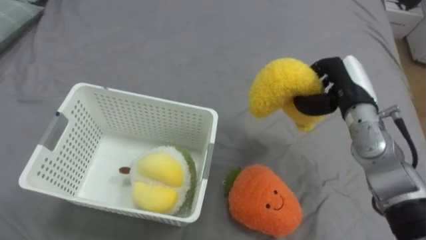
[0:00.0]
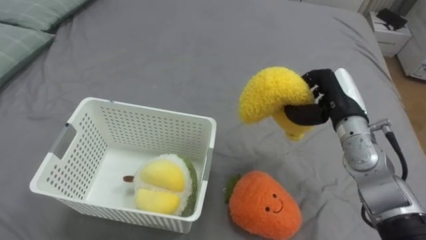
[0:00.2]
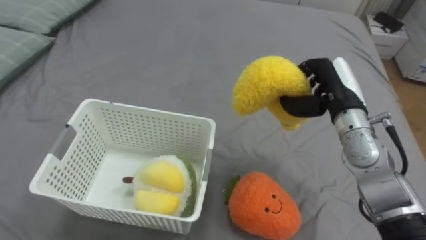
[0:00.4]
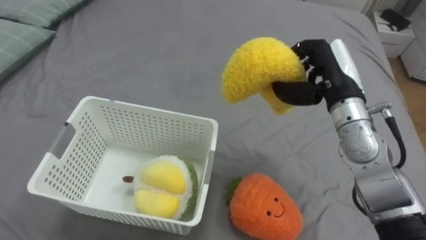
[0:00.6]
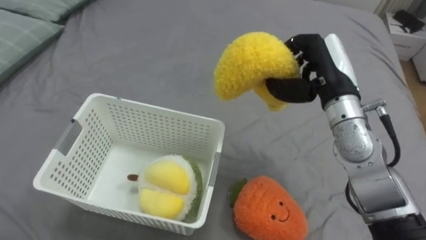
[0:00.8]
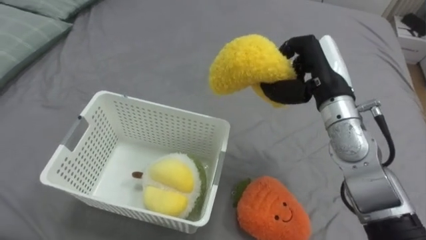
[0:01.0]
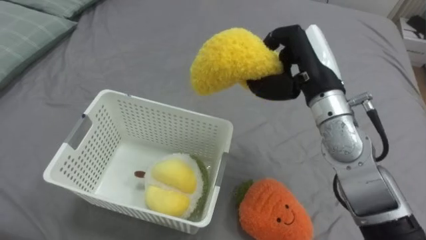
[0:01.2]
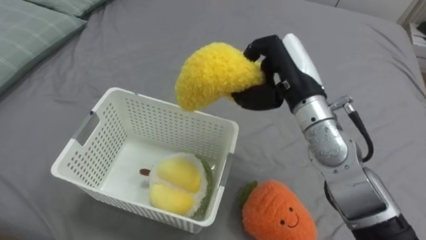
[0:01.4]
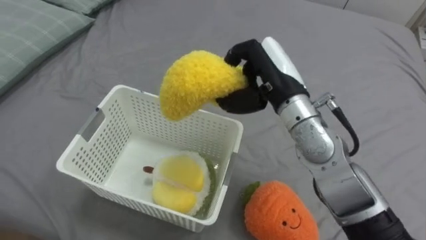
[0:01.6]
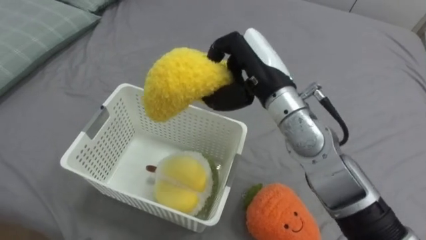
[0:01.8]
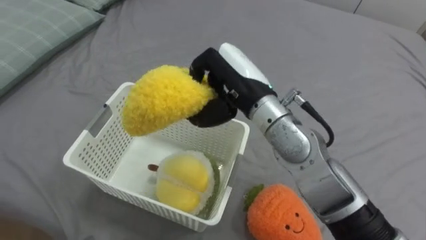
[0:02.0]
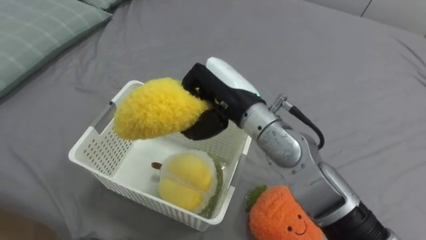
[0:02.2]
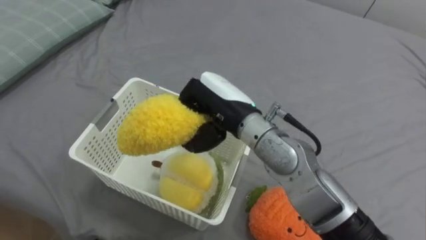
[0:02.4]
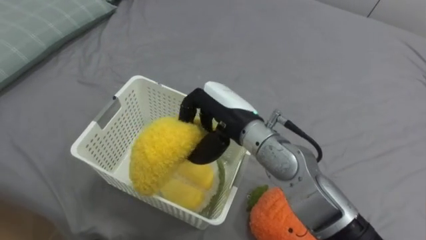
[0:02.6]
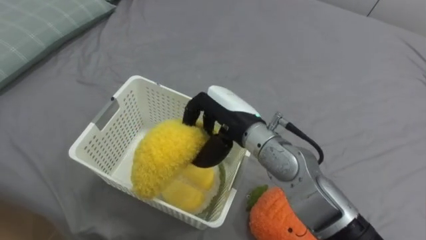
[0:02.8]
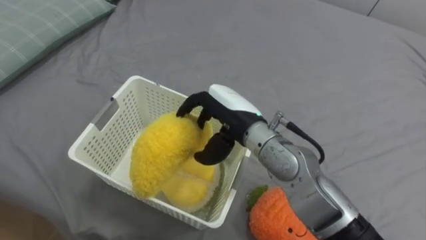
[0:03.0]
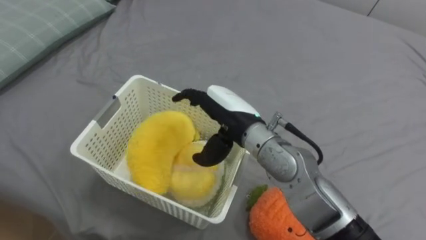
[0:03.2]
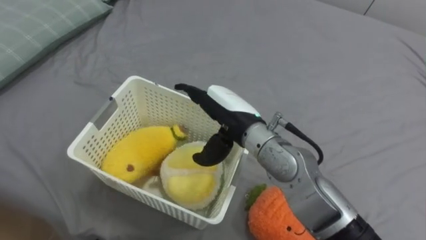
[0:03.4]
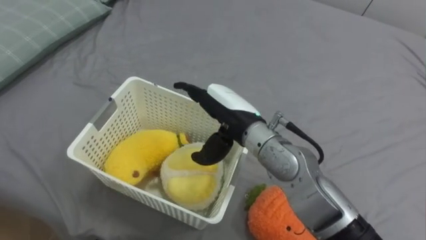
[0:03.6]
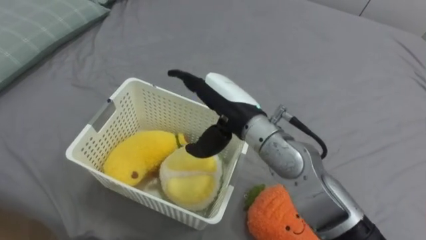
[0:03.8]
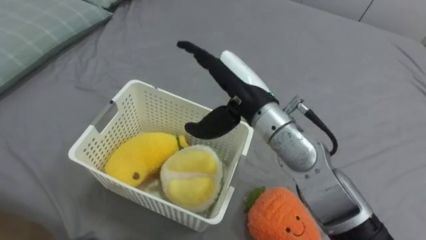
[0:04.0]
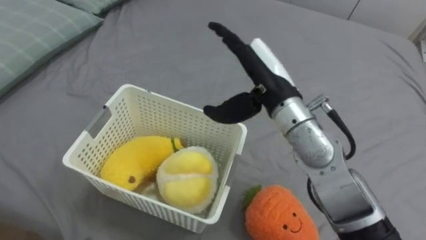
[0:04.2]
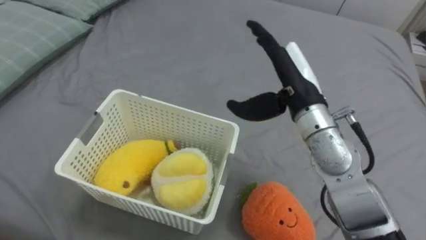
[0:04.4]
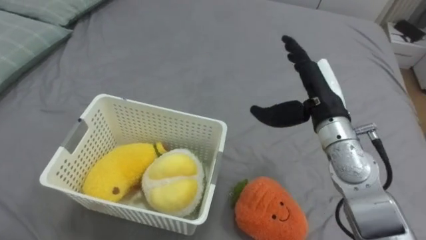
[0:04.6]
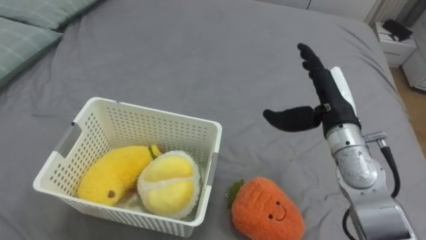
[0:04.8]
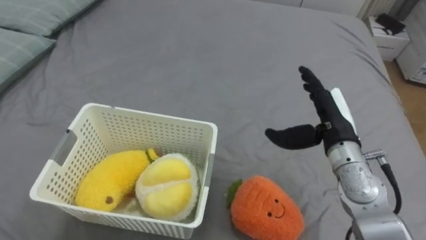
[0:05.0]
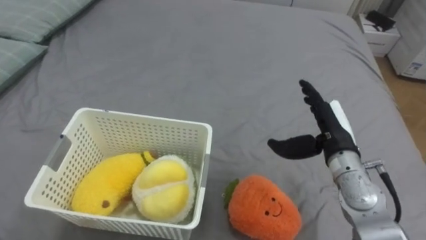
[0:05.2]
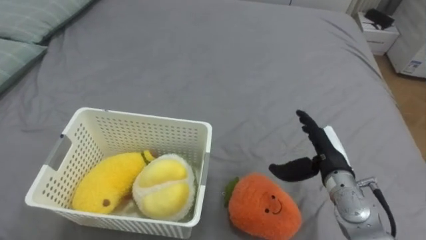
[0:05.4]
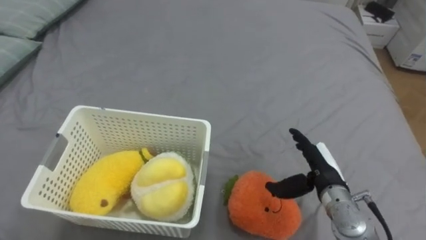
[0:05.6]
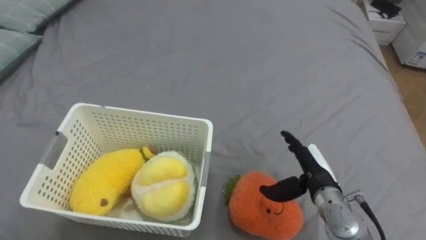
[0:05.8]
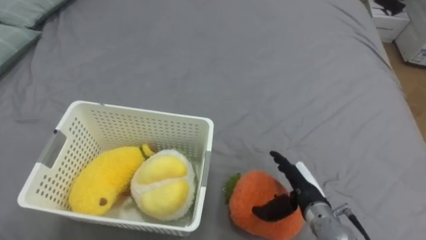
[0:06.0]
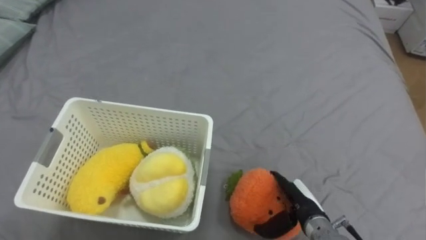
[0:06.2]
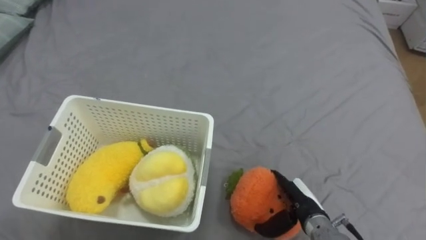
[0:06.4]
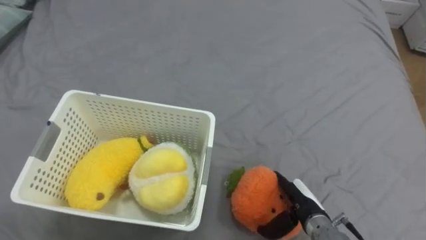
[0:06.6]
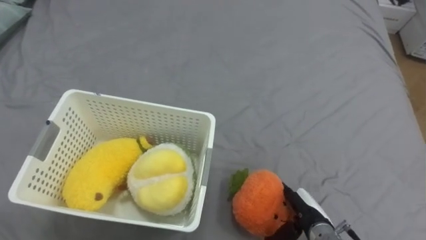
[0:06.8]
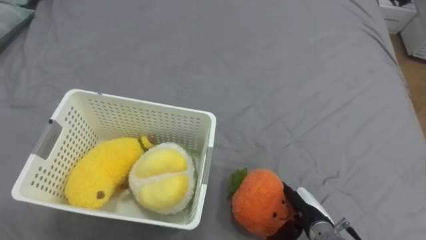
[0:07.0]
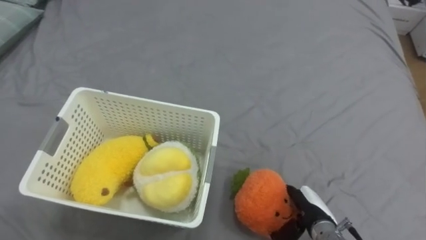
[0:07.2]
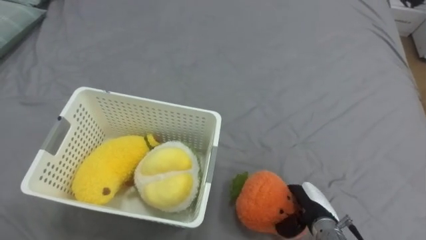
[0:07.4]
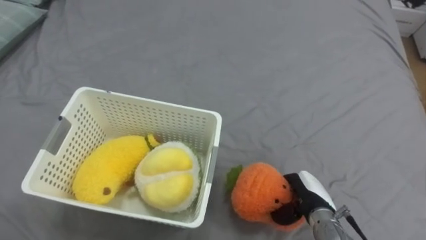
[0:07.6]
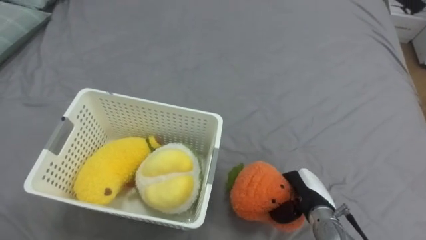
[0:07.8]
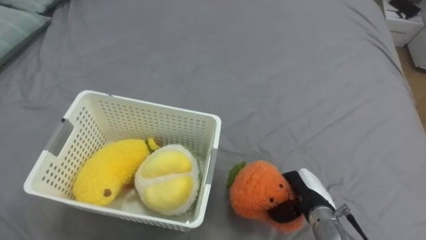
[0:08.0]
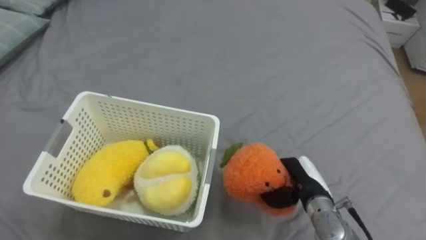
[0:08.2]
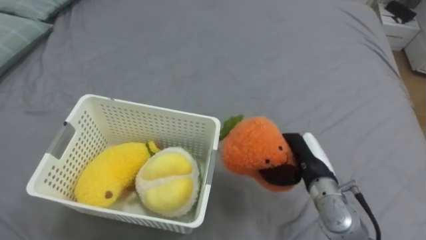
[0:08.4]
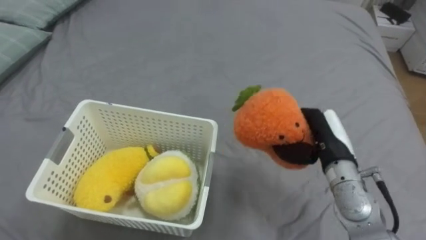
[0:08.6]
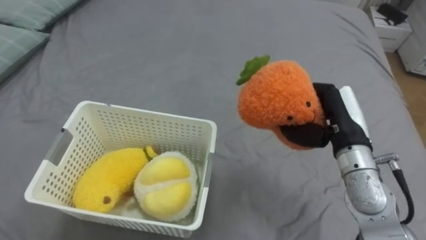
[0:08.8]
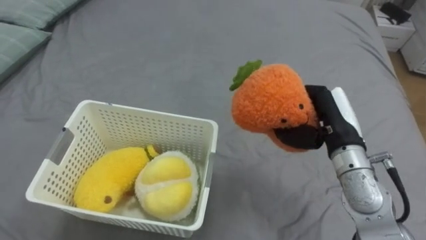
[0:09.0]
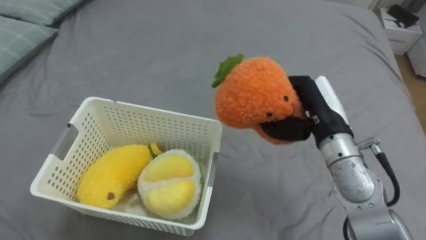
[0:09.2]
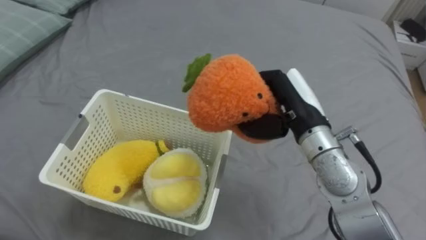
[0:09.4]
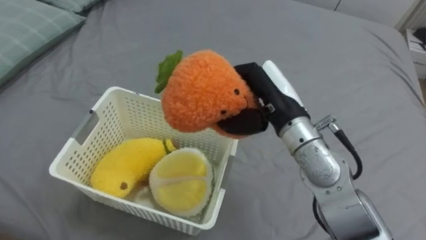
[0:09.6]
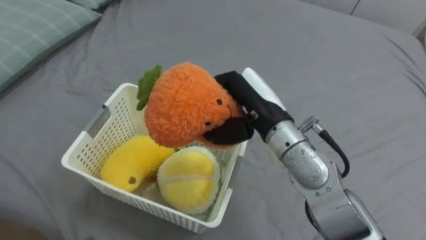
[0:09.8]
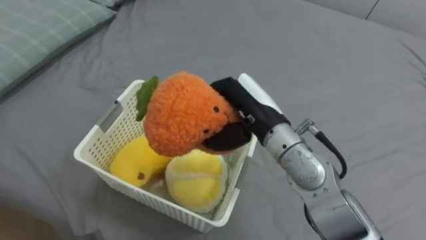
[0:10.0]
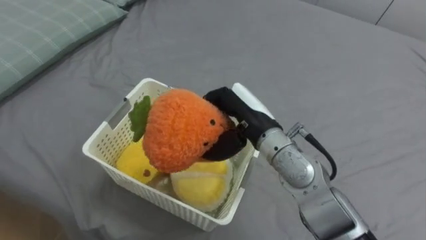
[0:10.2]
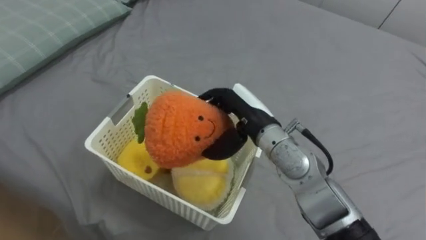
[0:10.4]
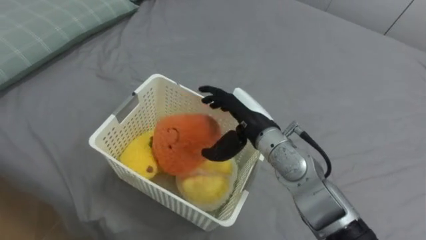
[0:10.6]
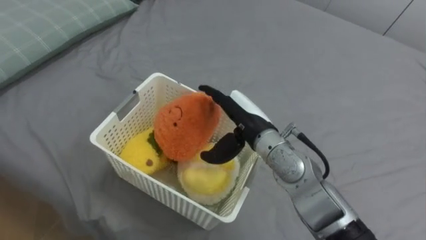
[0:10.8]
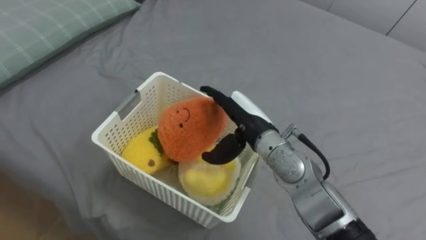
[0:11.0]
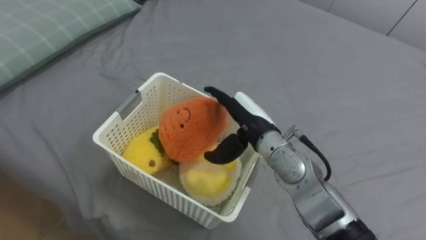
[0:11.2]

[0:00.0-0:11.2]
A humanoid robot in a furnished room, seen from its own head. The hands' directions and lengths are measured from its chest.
Task of the whole recording: Put the toys on the bed into the basket on the left.
0.0 to 1.6 s: The right hand moves to the left and upward, approximately 15 cm.
1.6 to 3.2 s: The right hand goes some 10 cm to the left and downward, and opens up.
3.2 to 4.8 s: The right hand goes about 15 cm to the right.
4.8 to 6.4 s: The right hand is displaced downward and backward by approximately 25 cm.
6.4 to 8.0 s: The right hand closes.
8.0 to 9.6 s: The right hand shifts some 25 cm upward and to the left.
9.6 to 11.2 s: The right hand goes about 5 cm downward, and opens up.

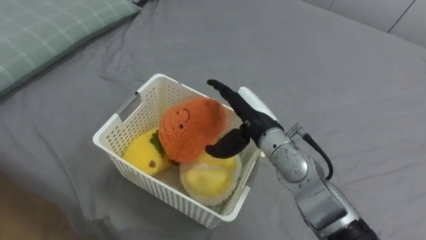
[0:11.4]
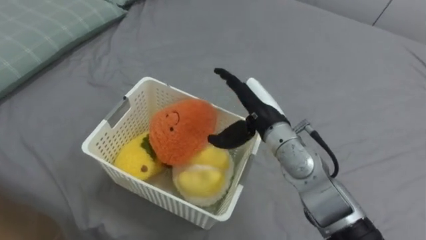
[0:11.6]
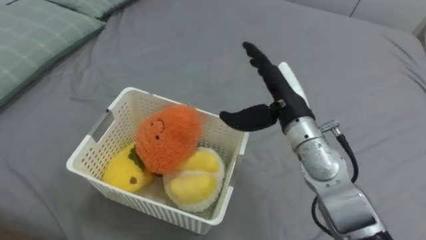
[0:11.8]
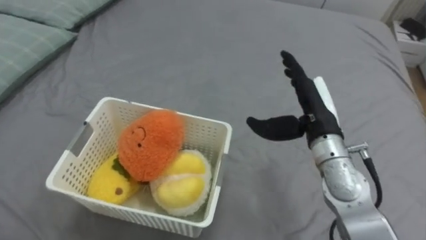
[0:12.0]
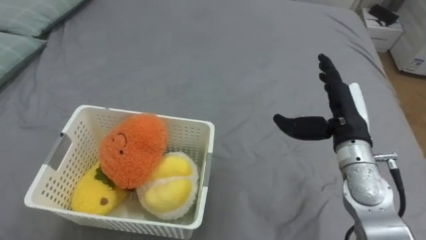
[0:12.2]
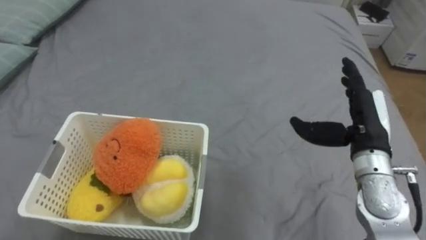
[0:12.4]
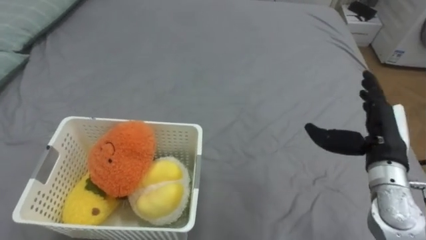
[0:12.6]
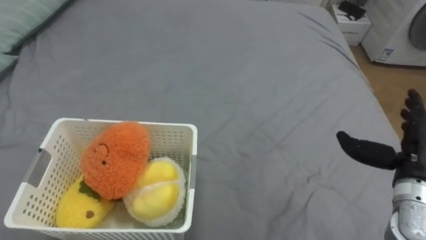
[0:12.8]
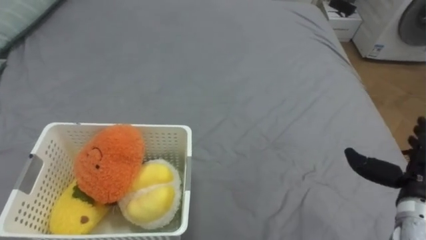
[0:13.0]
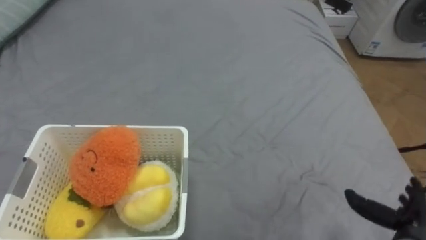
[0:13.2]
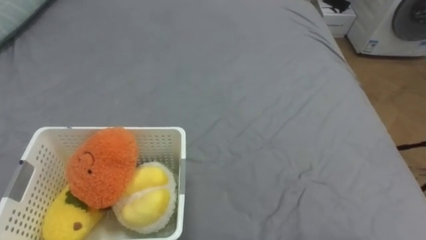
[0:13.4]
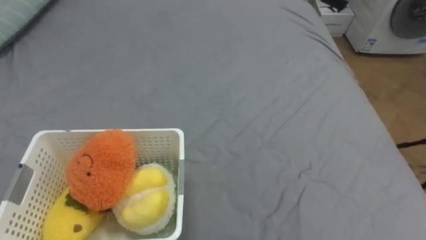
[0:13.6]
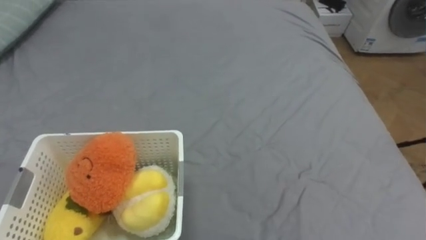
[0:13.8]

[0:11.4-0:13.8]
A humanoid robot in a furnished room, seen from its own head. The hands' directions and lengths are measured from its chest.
Task of the whole recording: Put the toys on the bed into the basket on the left.
11.4 to 12.6 s: The right hand heads to the right, covering approximately 20 cm.

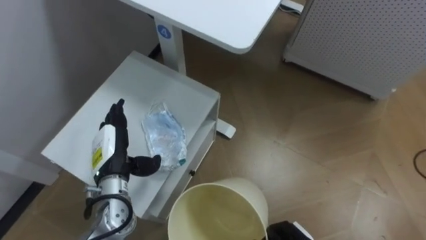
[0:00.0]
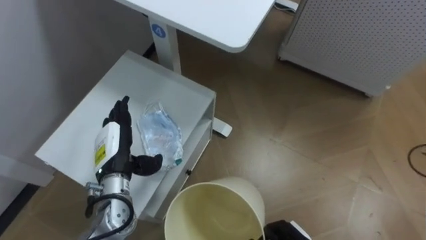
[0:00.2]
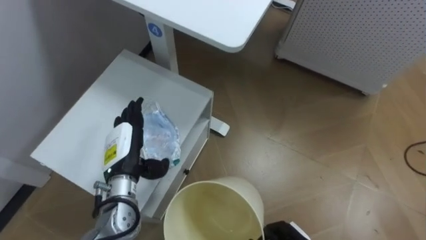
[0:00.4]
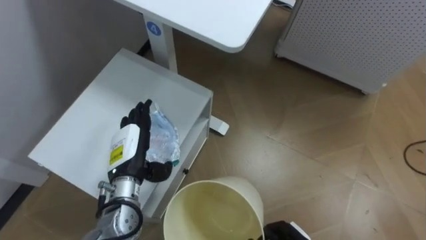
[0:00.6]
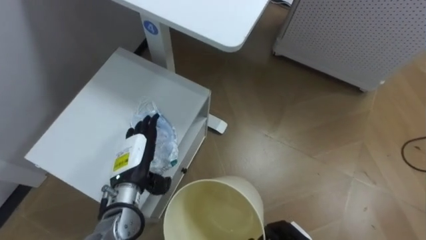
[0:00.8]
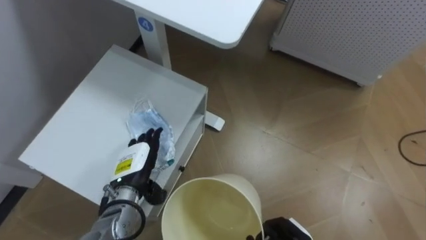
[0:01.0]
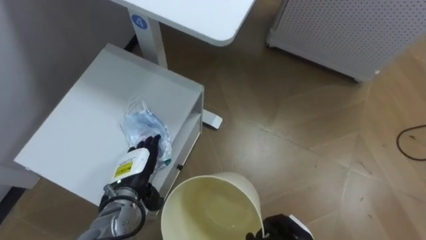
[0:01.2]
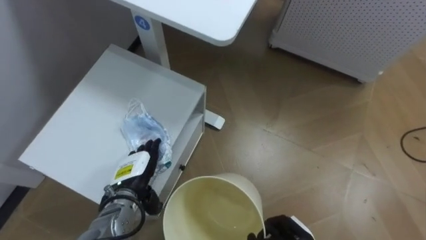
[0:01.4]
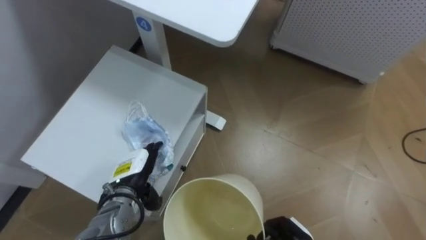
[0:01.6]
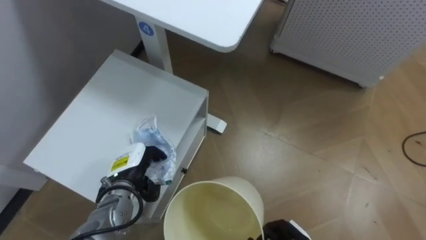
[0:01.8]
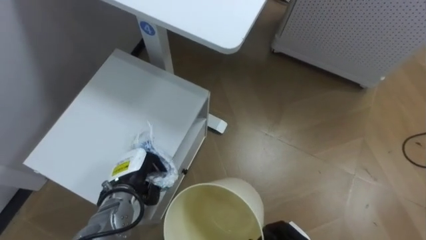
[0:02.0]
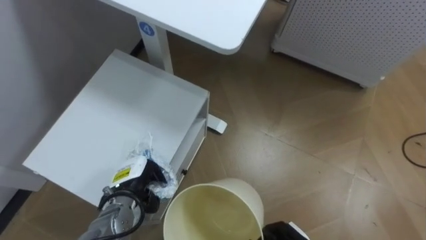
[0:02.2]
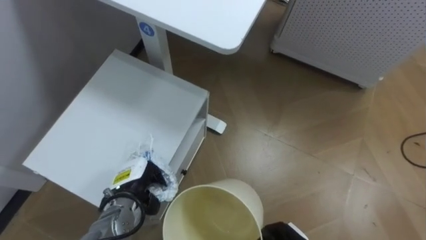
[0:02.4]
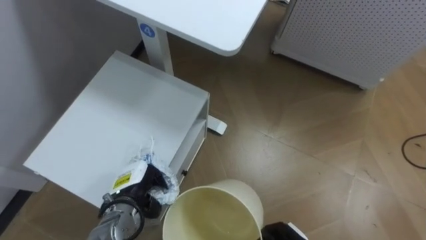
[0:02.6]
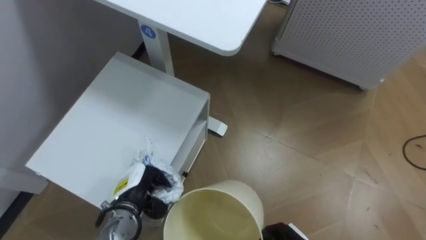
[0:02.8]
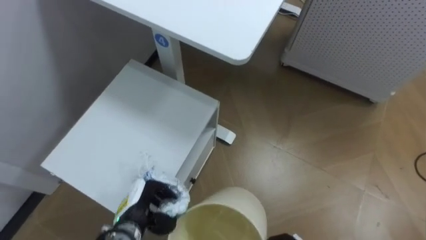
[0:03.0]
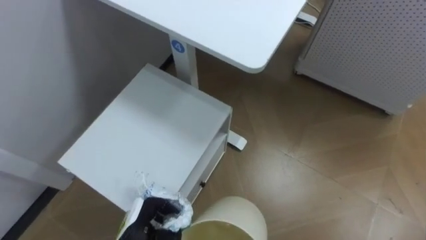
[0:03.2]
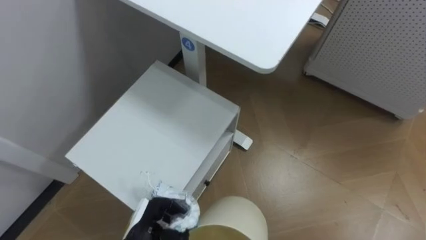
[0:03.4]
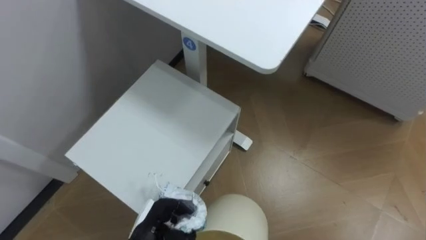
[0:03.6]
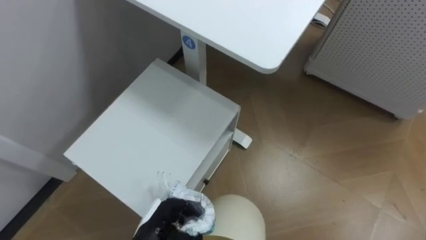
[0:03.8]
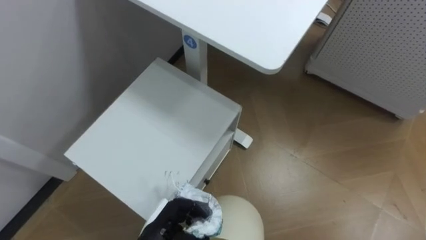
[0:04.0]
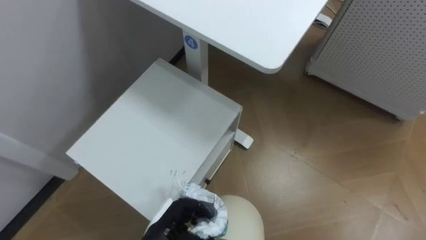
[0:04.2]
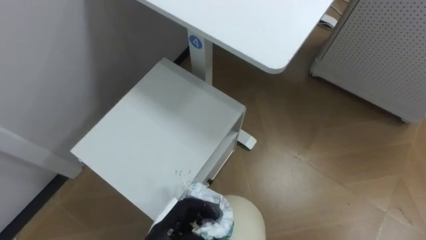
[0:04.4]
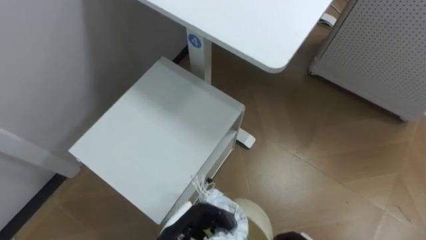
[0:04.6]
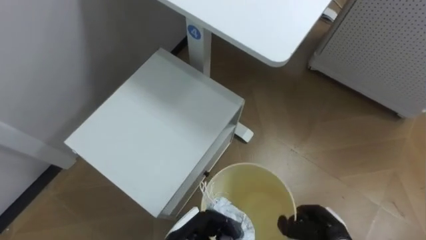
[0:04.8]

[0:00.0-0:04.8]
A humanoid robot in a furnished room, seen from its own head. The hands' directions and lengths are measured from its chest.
Task of the whole recording: Pick up the light blue package, the candy box, and the dark blue package separately, and put them into the trash can held in your right hand.
0.0 to 1.6 s: The left hand goes some 5 cm downward.
1.6 to 3.2 s: The left hand travels backward and downward by some 10 cm, and closes its fingers.
3.2 to 4.8 s: The left hand heads to the right, covering approximately 10 cm.
